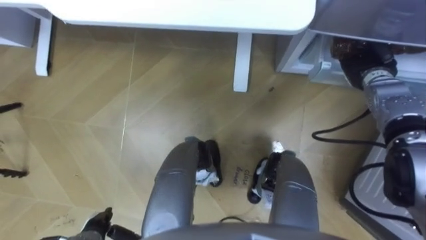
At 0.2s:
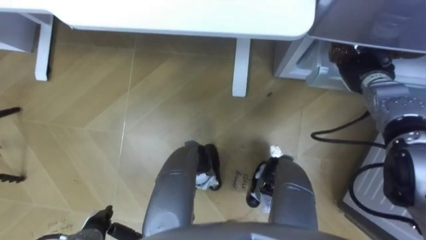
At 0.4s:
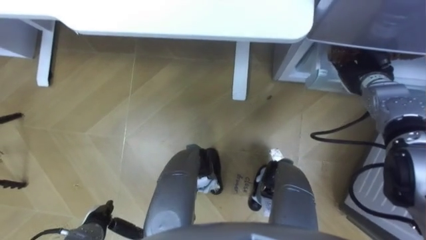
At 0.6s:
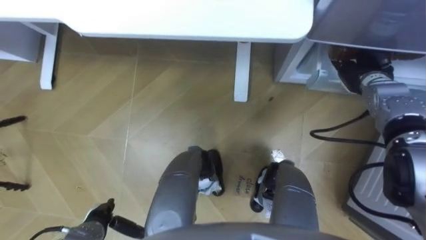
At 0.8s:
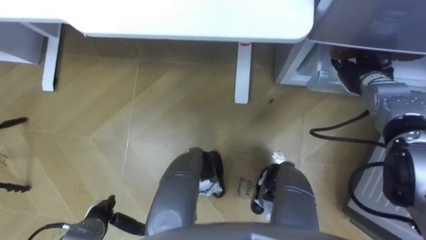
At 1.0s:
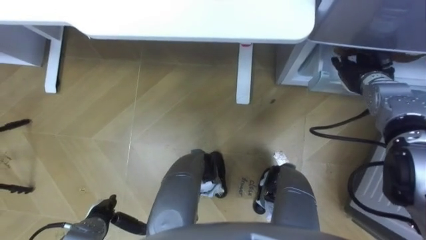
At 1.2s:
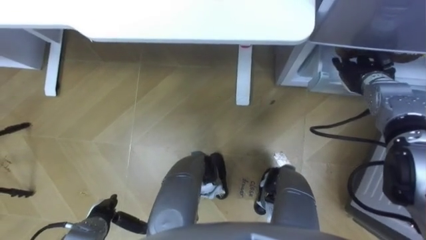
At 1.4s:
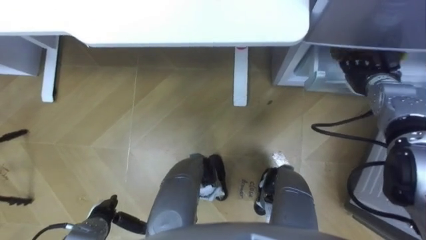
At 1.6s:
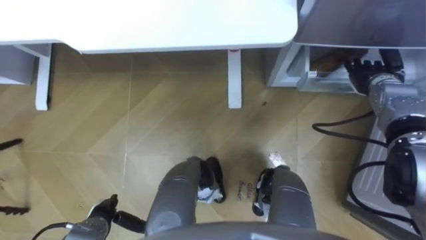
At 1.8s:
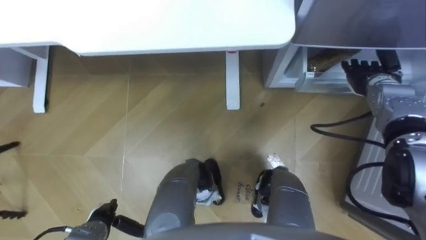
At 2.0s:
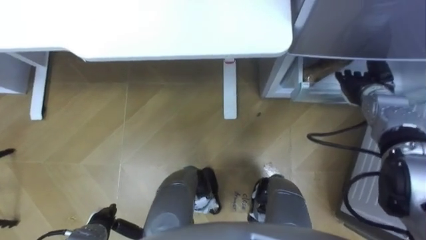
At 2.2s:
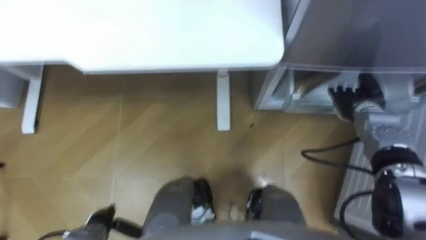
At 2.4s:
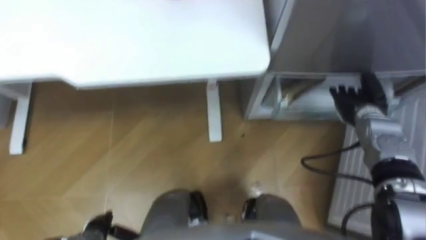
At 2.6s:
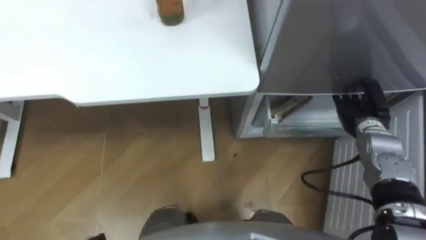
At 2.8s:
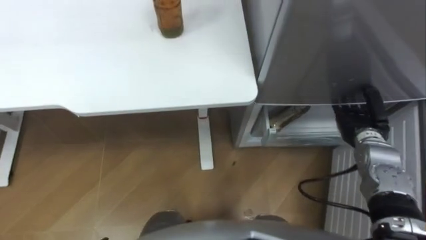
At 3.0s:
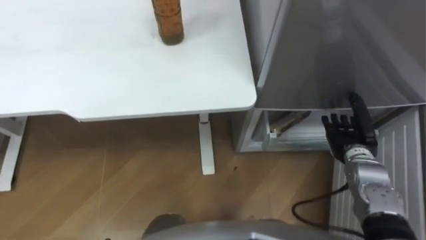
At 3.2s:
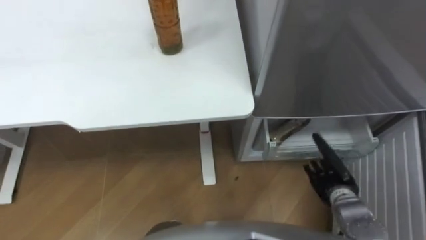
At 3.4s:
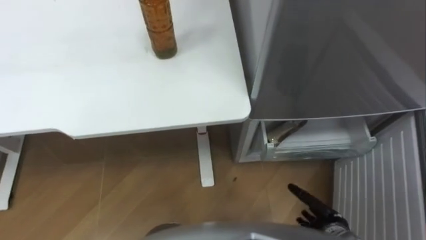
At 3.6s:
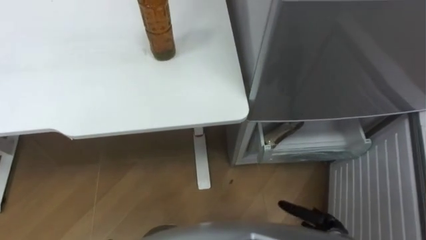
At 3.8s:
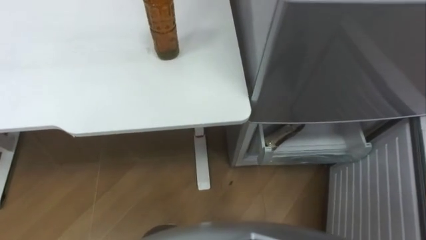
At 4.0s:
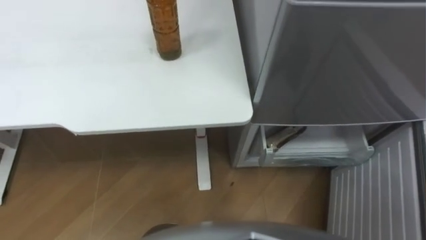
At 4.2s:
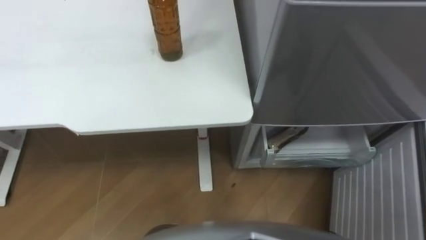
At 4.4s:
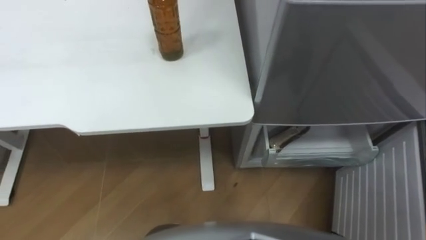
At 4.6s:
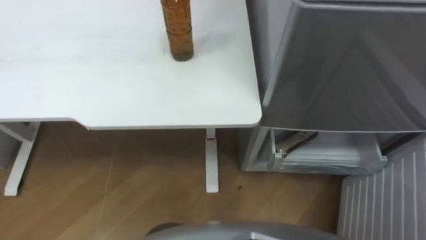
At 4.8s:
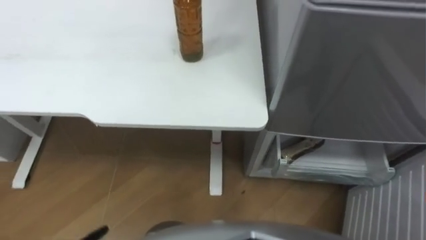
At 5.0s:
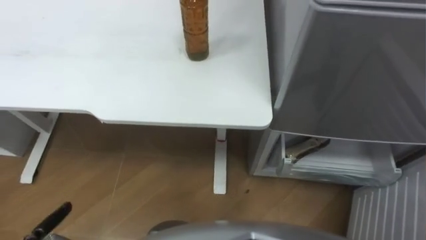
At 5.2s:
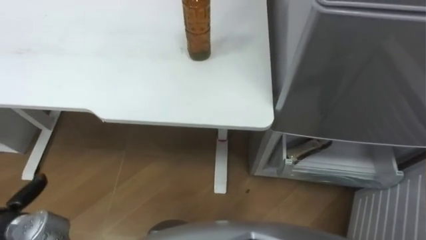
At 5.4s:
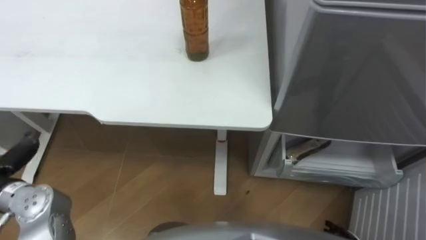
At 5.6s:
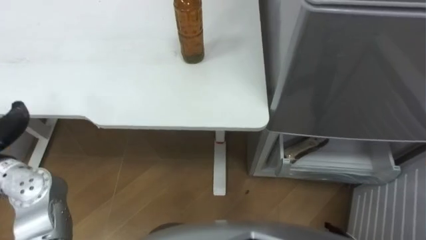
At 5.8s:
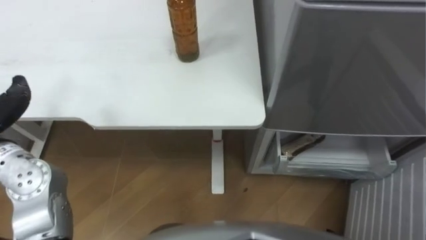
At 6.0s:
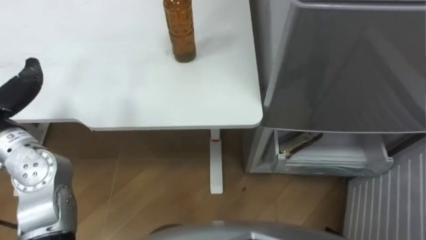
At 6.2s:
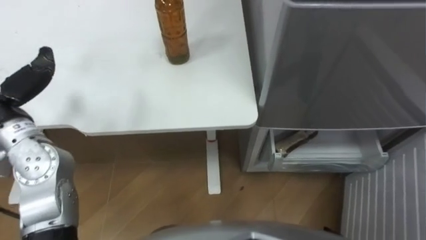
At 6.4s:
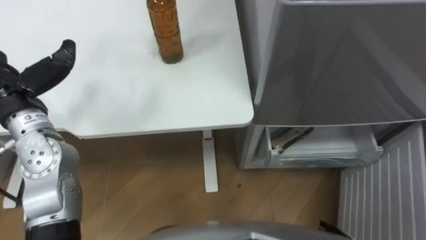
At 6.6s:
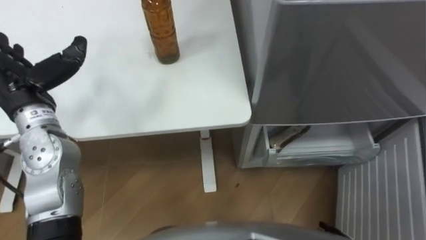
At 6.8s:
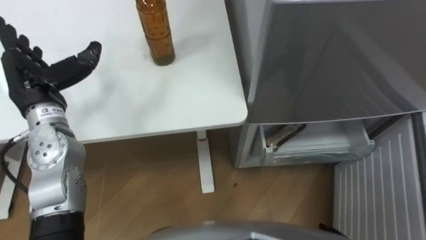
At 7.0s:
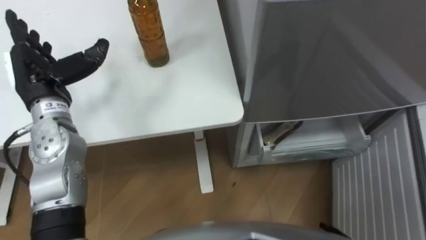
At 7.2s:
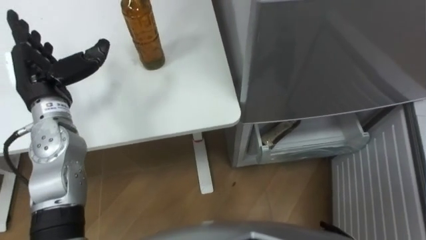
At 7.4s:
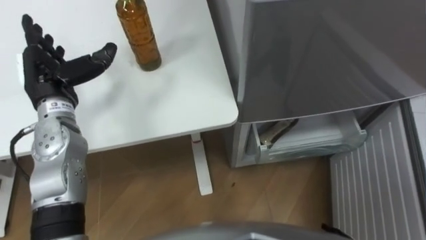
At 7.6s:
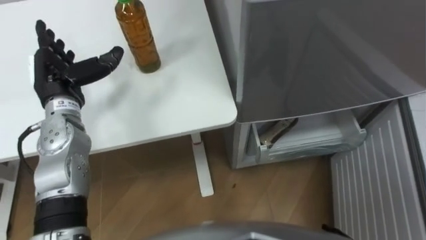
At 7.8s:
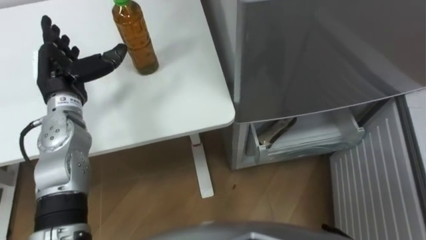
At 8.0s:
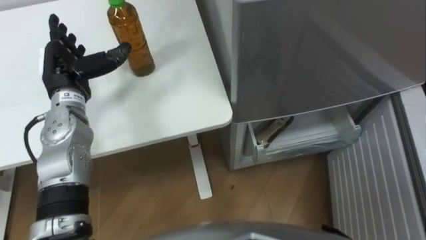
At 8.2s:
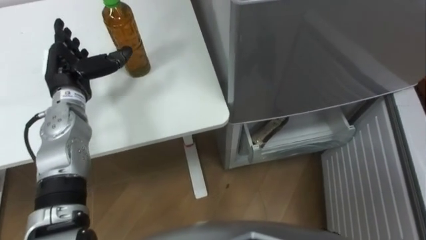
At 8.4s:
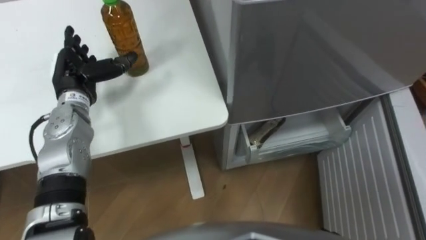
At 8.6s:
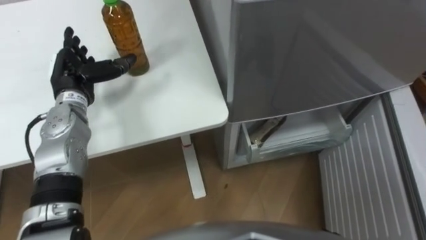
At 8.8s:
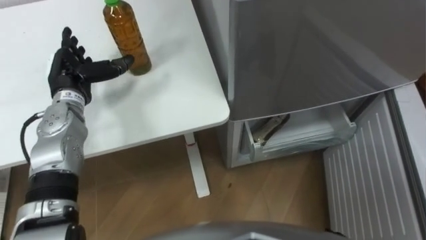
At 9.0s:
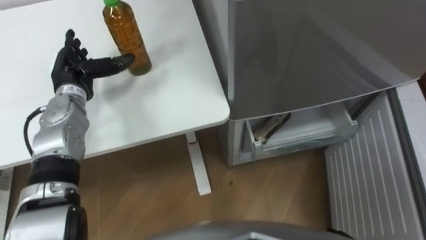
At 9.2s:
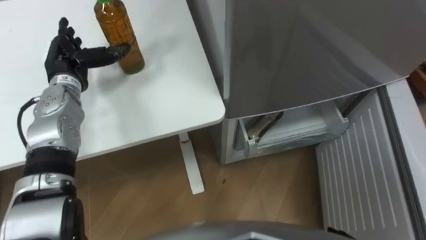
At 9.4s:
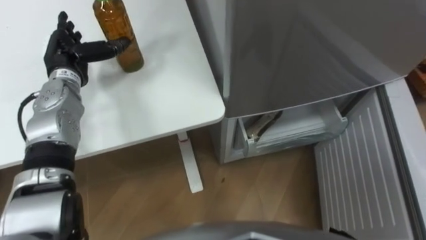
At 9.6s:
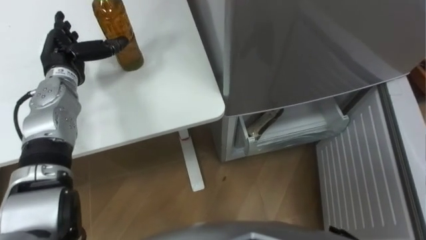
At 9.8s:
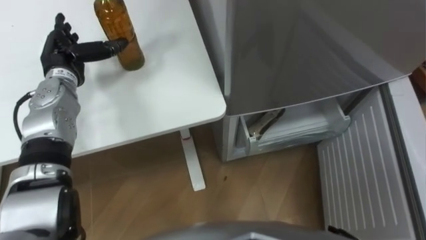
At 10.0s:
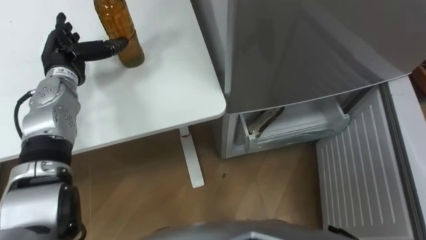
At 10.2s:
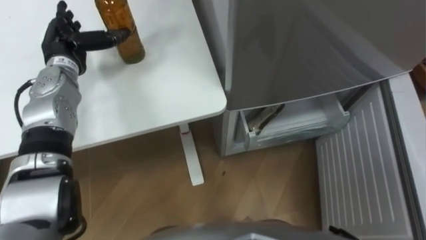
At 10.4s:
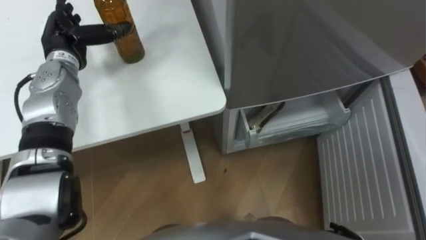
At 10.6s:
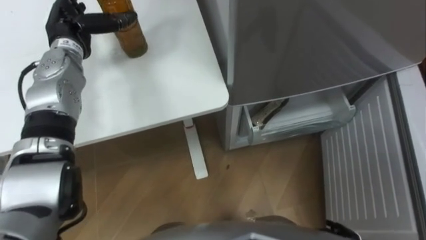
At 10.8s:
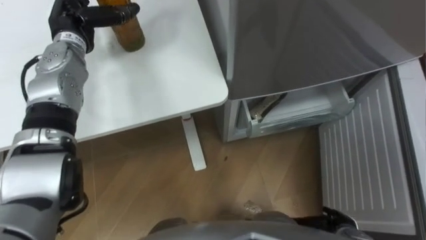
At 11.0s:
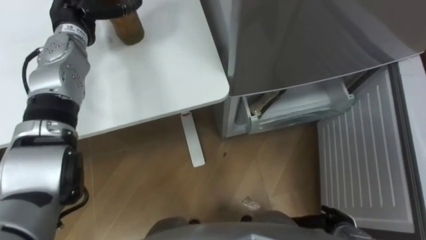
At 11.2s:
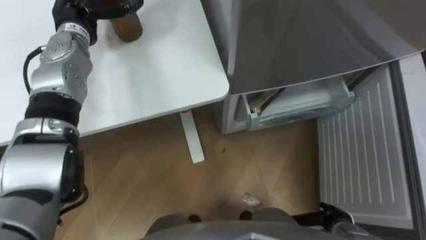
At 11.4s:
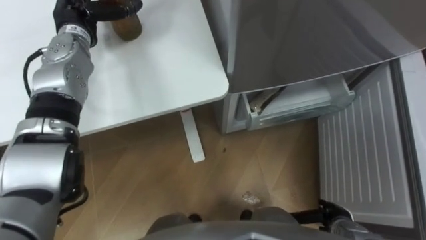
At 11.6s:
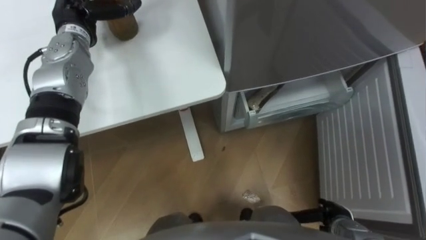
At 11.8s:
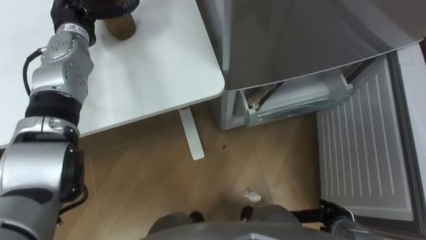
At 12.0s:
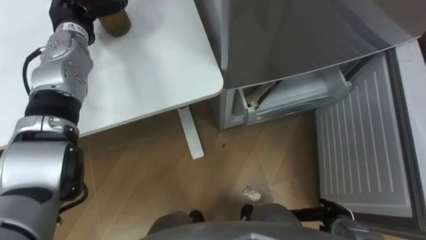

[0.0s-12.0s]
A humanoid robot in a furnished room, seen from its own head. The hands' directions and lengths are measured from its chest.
Task of the whole recording: Place the drink on the table on the bottom shelf of the refrigerator, then close the drawer and the refrigerator door.
1.6s to 3.0s: The right hand is displaced backward and downward by roughly 15 cm.
7.6s to 9.0s: The left hand moves some 5 cm.
9.0s to 10.4s: The left hand changes place by roughly 5 cm.
10.4s to 12.0s: The left hand moves approximately 5 cm, and closes.

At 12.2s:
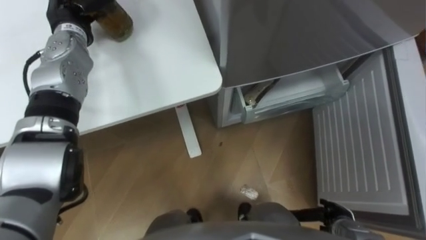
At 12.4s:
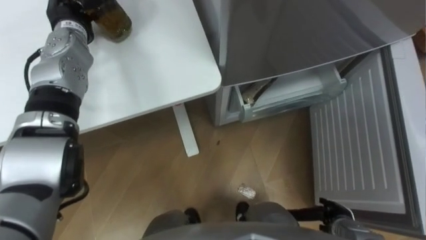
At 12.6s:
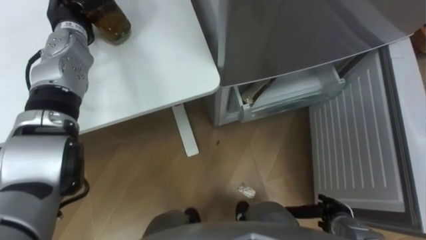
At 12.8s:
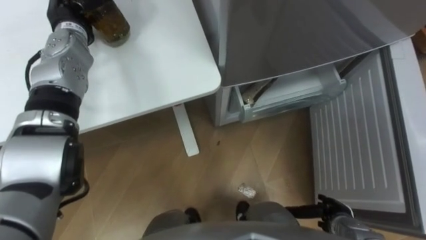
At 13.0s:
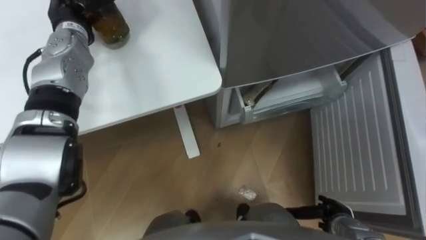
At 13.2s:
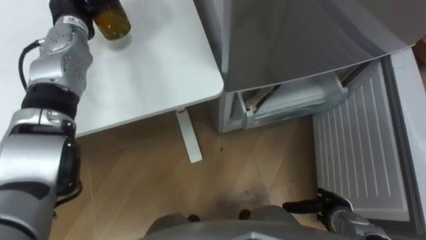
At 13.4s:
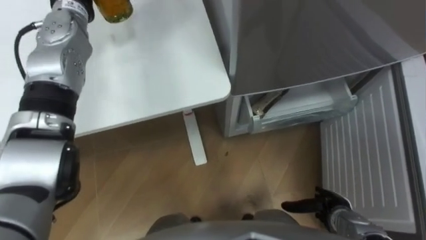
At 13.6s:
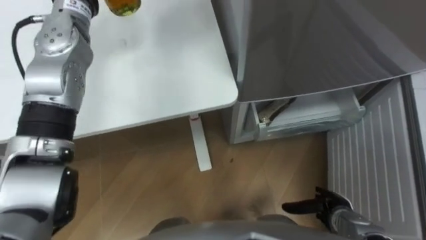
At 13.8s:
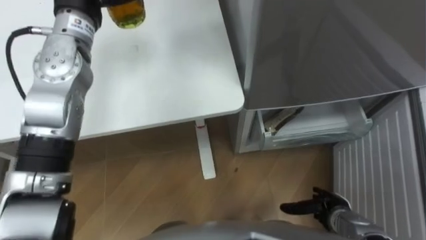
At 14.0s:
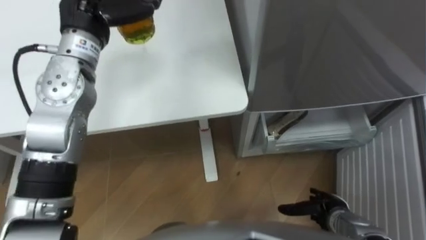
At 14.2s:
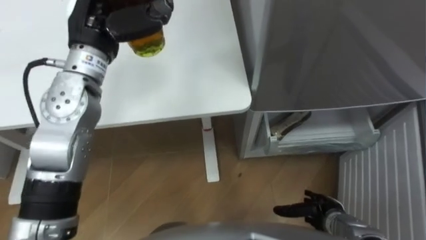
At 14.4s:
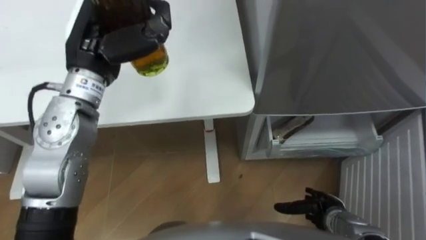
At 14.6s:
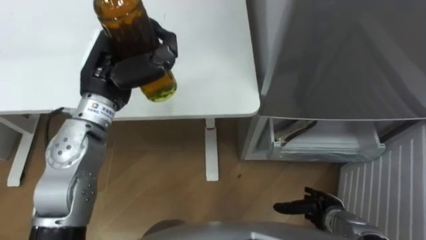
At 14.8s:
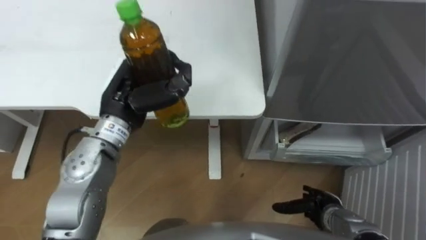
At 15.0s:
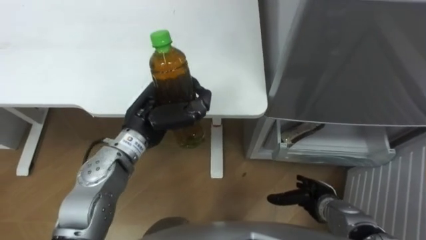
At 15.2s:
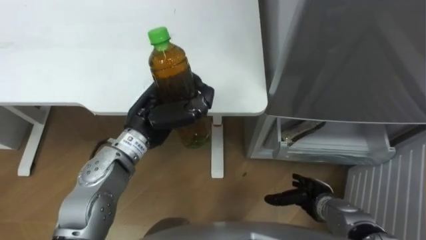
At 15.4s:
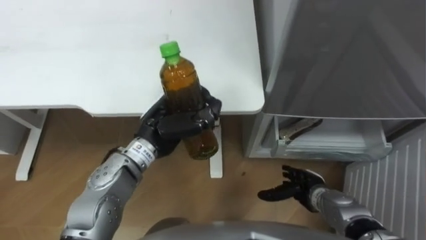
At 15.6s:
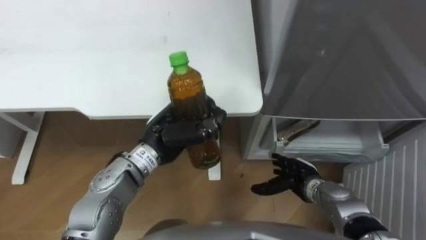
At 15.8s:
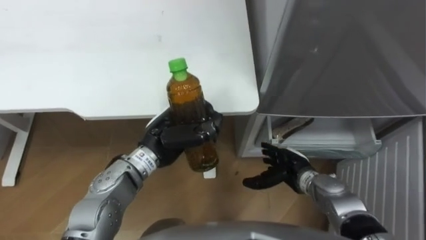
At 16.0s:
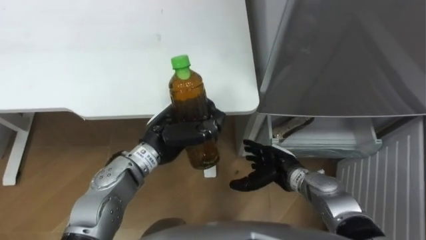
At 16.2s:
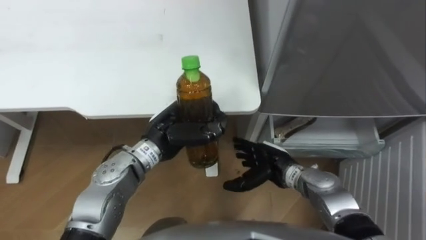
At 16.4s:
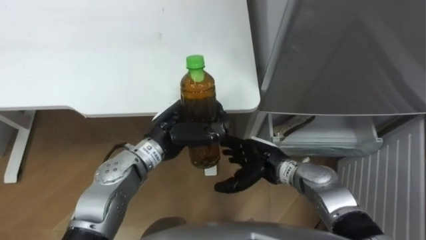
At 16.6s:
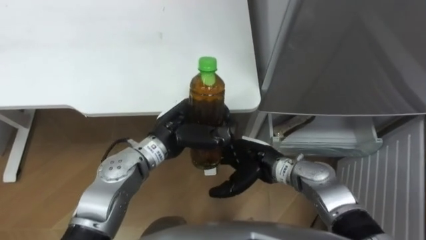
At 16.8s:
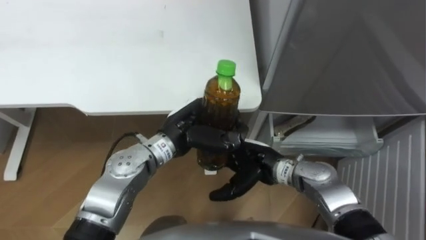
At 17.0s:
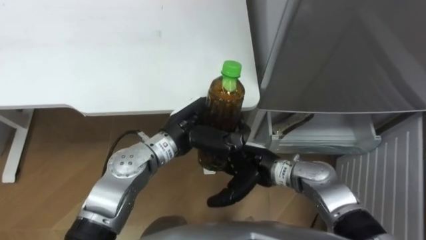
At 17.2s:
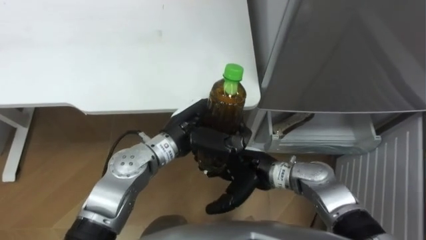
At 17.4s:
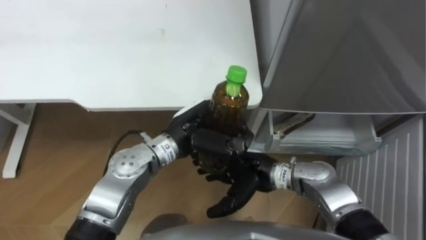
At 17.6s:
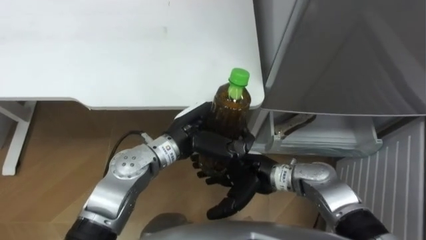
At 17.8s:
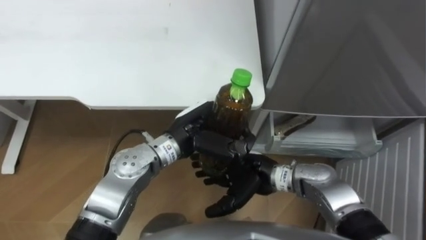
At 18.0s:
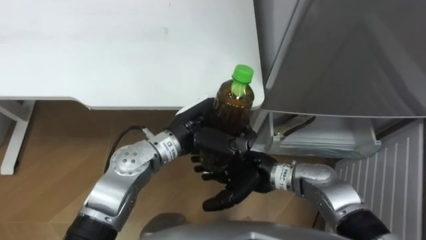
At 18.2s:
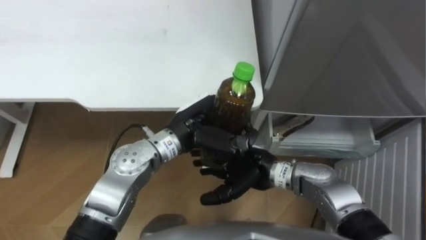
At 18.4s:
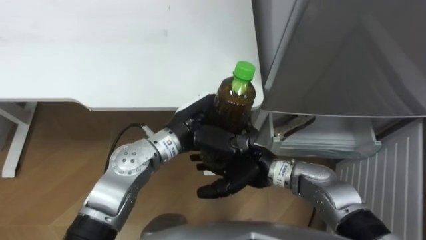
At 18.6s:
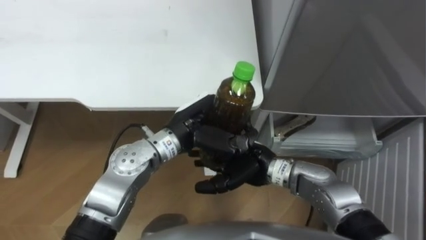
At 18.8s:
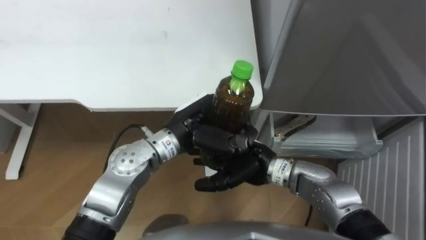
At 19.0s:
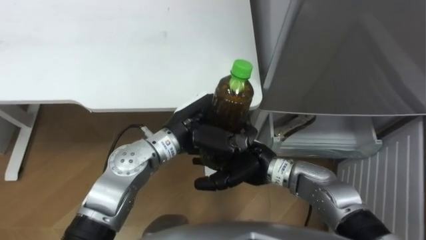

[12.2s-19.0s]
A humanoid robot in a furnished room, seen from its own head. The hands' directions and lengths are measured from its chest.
Task of the whole recording: Place the drink on the table on the bottom shelf of the refrigerator, then close the drawer and the refrigerator door.
15.0s to 16.2s: The right hand goes about 15 cm to the left, upward and forward. The left hand shifts by about 5 cm.
16.2s to 17.6s: The right hand travels to the left by some 5 cm.
